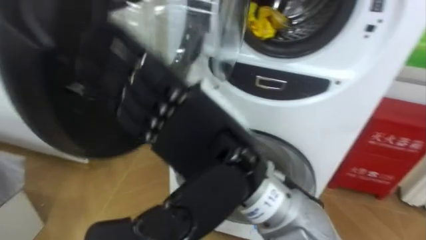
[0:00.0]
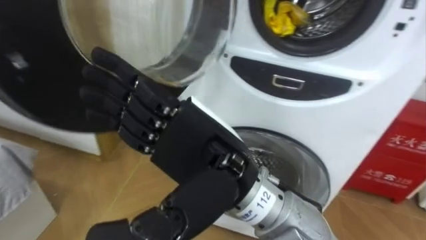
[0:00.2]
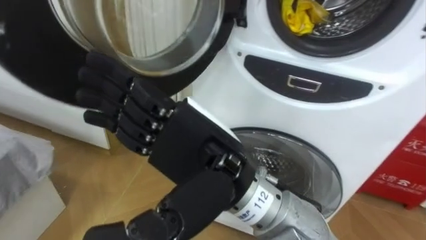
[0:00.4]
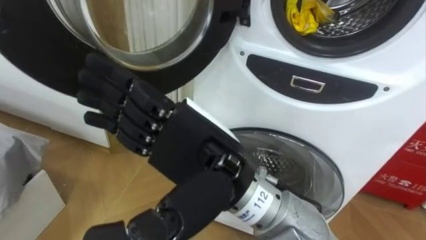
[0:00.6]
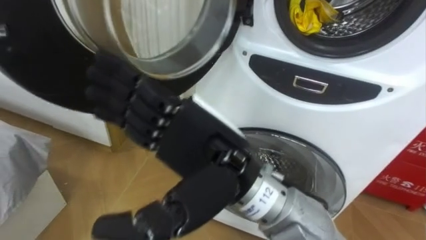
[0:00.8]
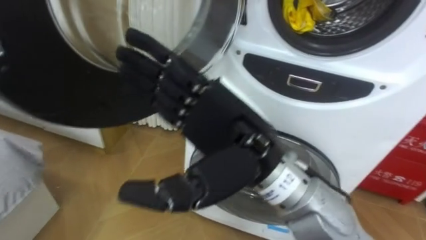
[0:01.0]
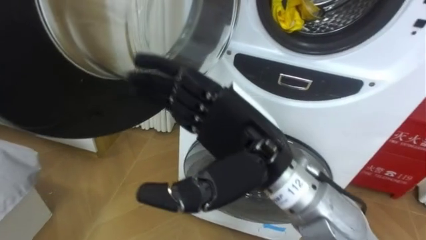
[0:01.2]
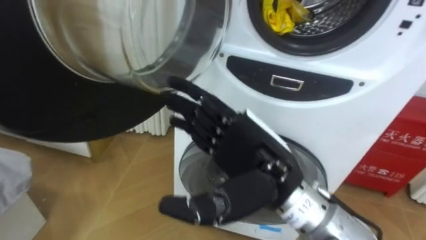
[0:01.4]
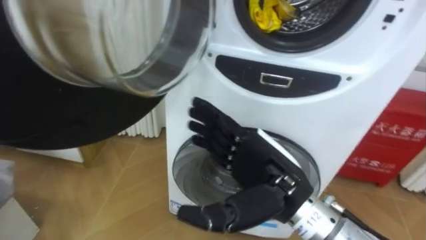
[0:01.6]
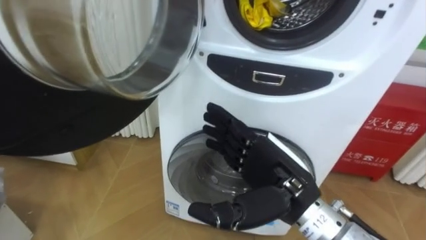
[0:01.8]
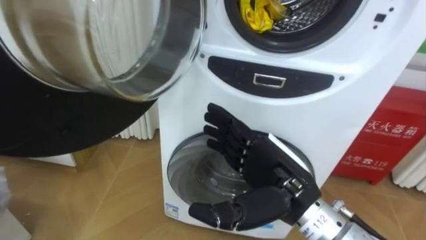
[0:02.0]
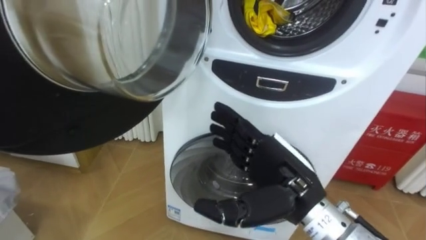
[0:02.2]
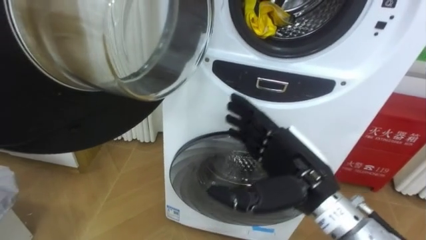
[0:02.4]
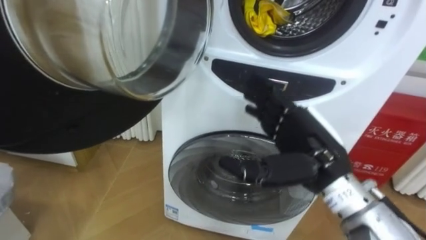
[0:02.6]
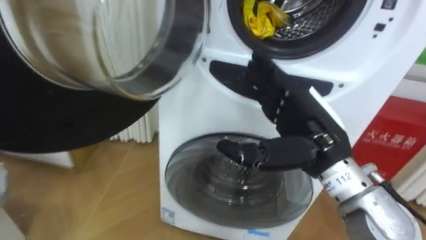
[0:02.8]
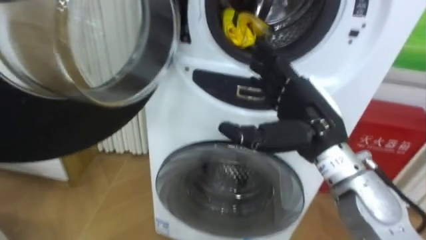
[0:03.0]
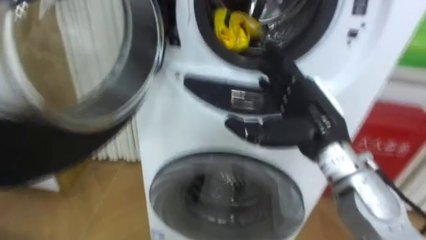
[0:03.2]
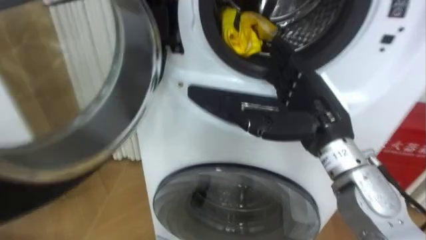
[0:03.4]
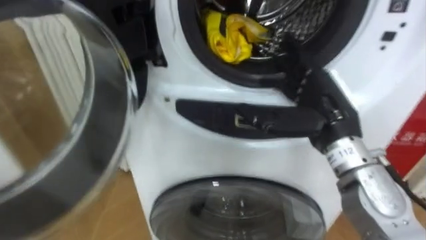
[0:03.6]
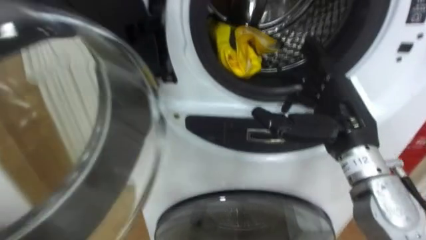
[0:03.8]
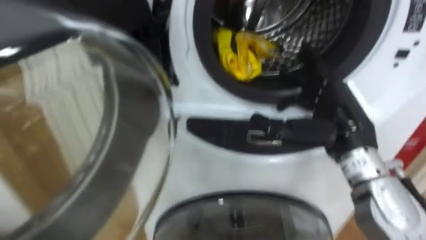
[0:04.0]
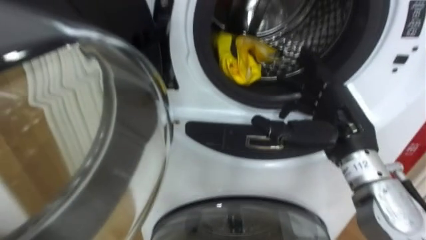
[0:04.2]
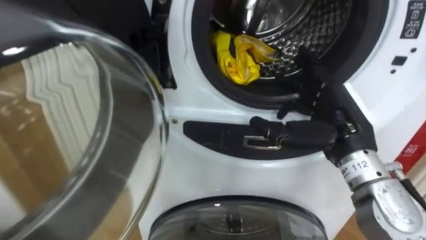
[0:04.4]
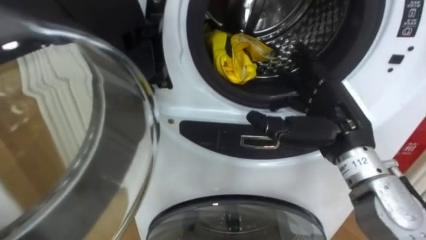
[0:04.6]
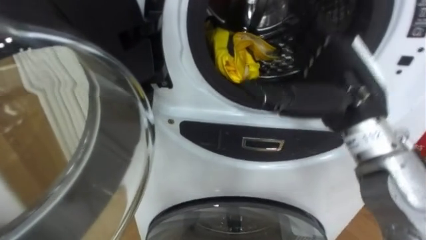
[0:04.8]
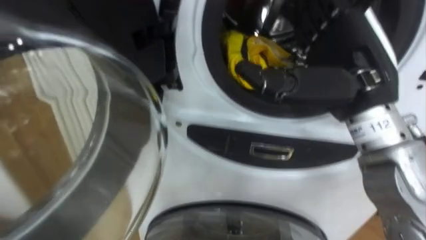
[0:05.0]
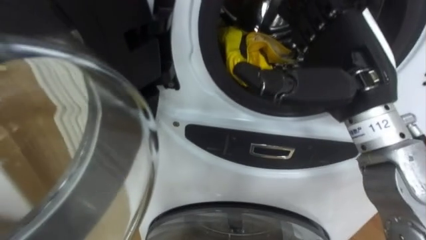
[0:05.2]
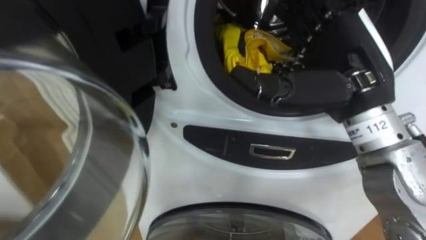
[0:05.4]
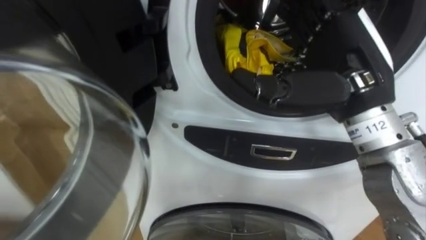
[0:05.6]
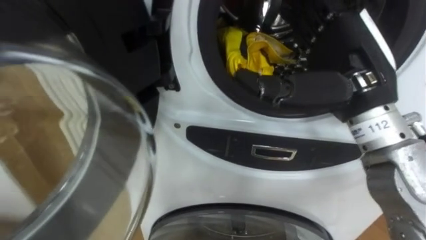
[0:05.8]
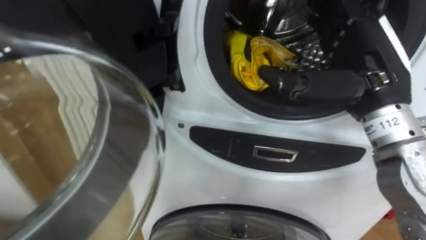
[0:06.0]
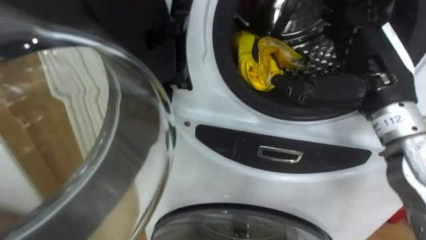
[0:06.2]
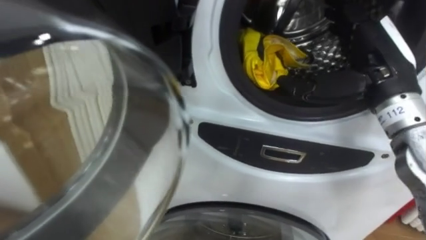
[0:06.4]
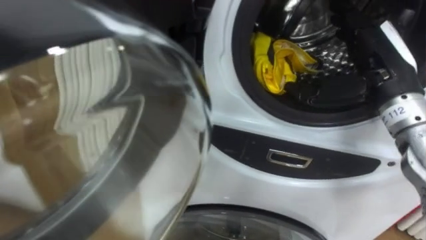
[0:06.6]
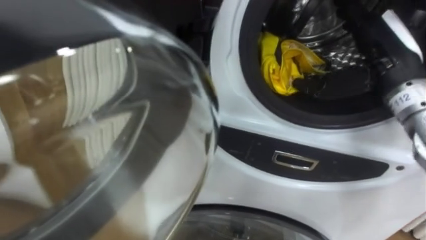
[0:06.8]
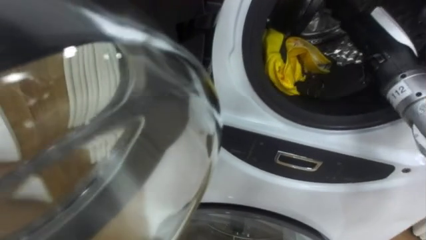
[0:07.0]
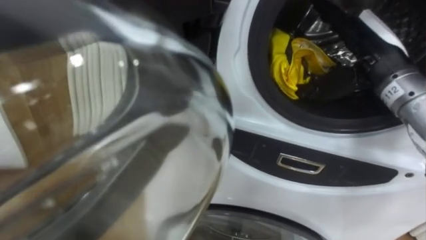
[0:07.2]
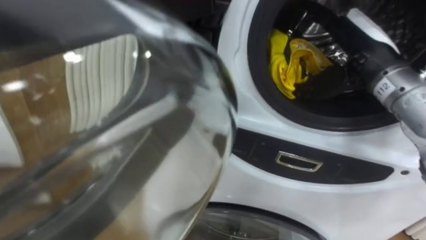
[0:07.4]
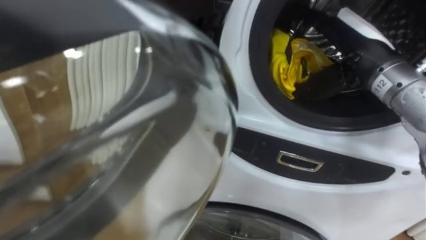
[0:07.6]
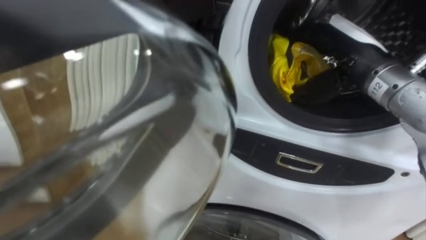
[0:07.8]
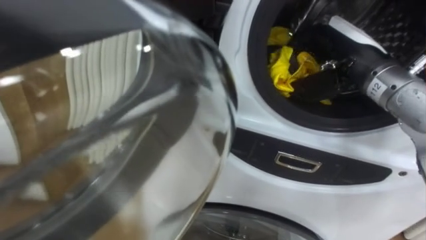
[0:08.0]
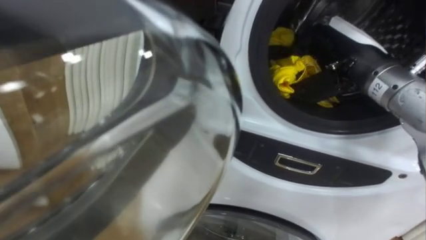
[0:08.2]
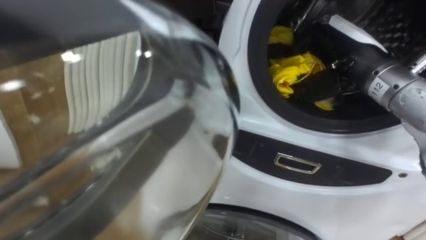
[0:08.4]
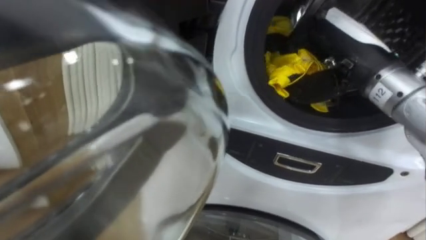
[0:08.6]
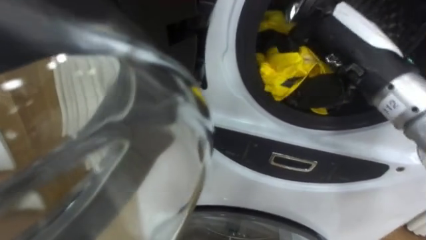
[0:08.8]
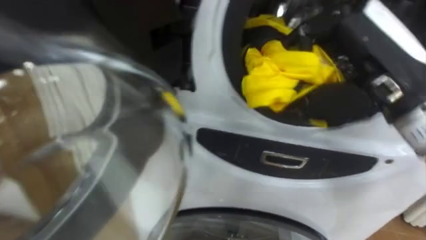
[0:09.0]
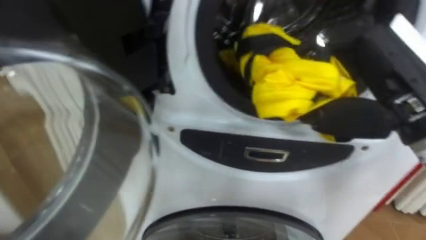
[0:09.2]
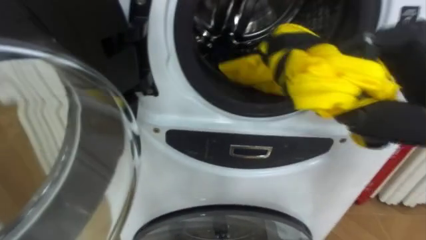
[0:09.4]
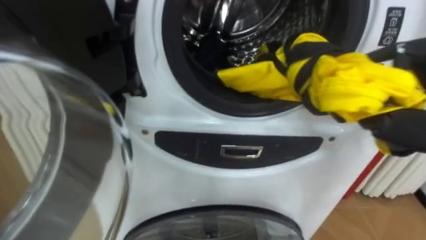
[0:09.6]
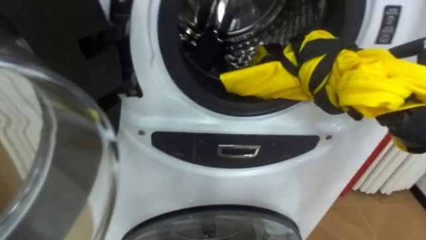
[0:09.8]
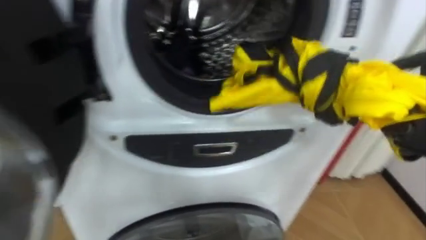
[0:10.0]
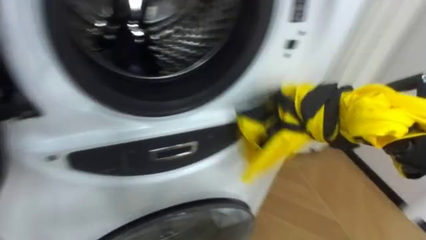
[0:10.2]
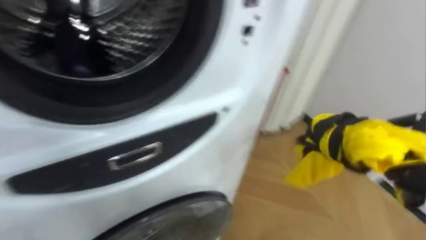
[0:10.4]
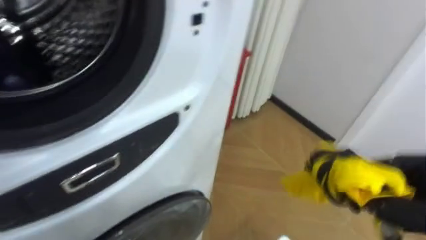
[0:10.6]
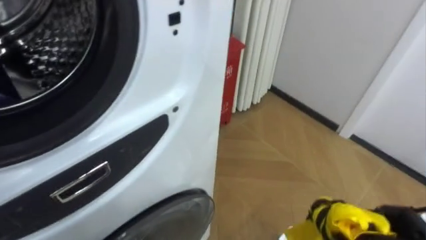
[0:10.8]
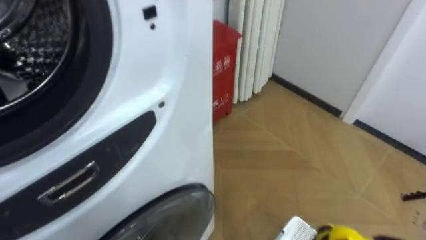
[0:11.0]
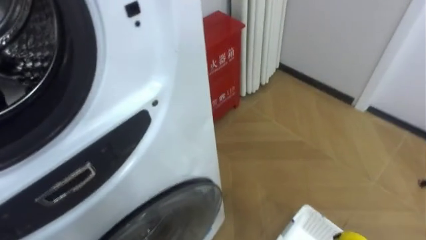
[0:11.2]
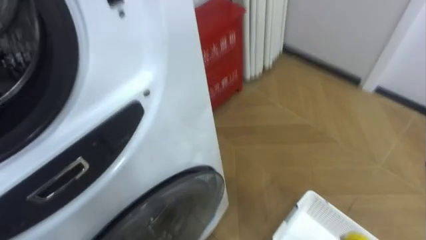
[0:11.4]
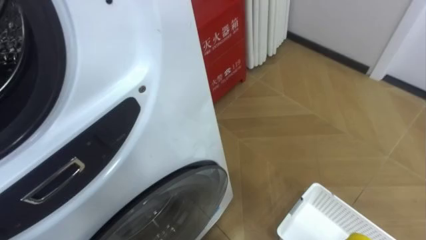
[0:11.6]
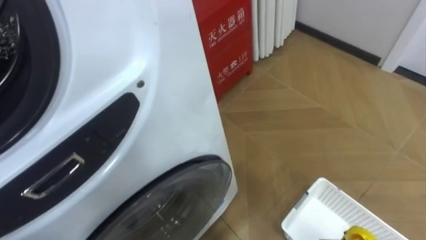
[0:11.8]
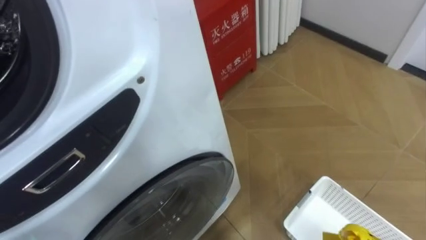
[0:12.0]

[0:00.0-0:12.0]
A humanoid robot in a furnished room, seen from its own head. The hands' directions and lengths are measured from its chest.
Task of the whole recording: Open the washing machine door, take out the yellow clothes, place them in the box on the right, and close the washing machine door.
0:00.0 to 0:01.6: The right hand is displaced downward and to the right by approximately 10 cm.
0:01.6 to 0:03.0: The right hand is displaced forward and to the right by approximately 10 cm.
0:03.0 to 0:04.4: The right hand goes approximately 5 cm to the right.
0:04.4 to 0:06.0: The right hand goes approximately 10 cm upward.
0:06.0 to 0:07.6: The right hand is displaced forward by approximately 5 cm.
0:07.6 to 0:09.0: The right hand heads backward, covering roughly 10 cm, and closes up.

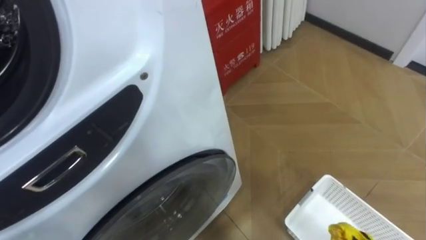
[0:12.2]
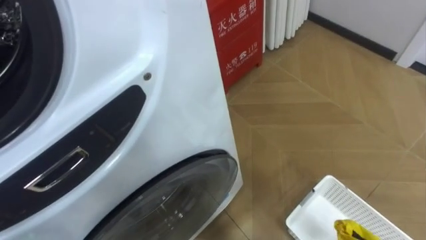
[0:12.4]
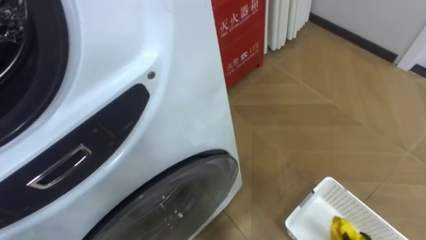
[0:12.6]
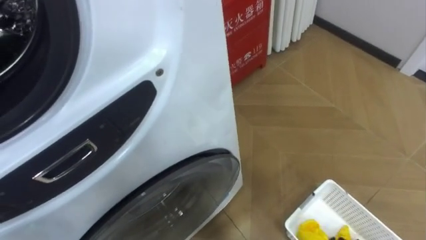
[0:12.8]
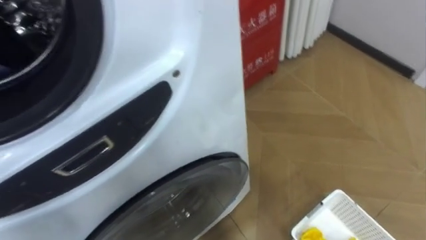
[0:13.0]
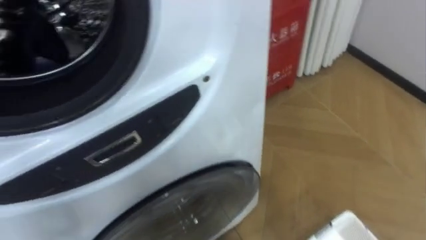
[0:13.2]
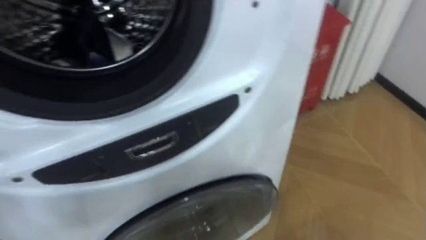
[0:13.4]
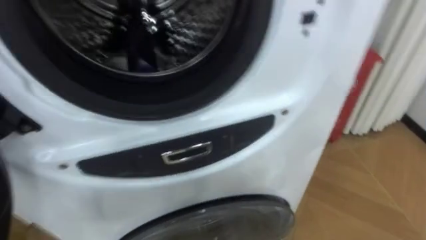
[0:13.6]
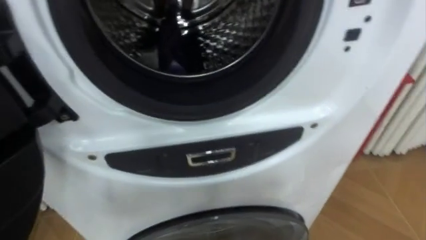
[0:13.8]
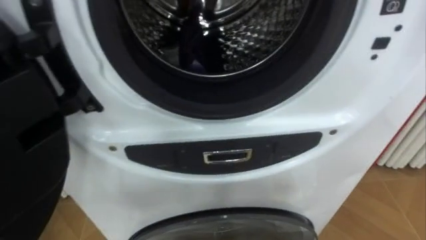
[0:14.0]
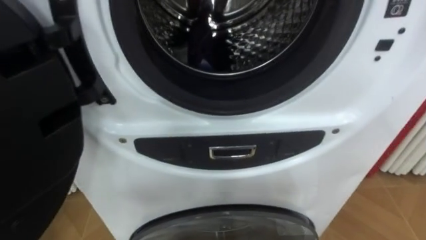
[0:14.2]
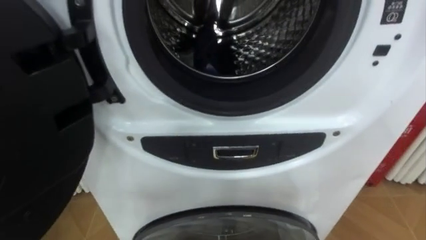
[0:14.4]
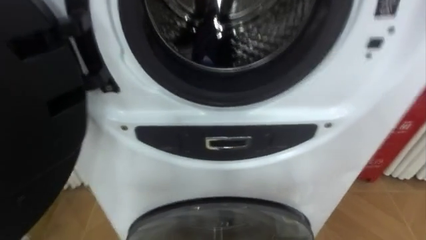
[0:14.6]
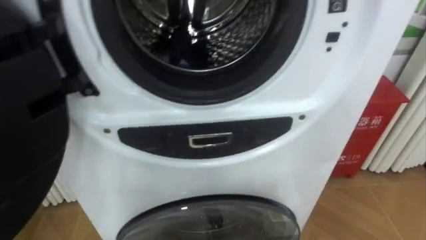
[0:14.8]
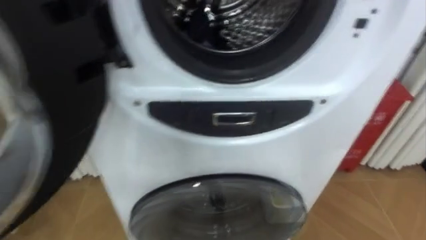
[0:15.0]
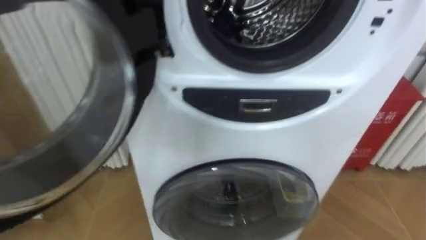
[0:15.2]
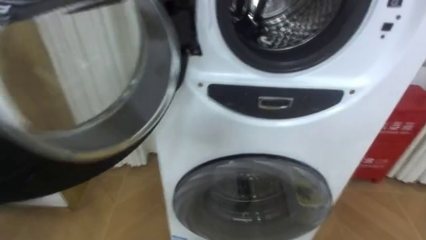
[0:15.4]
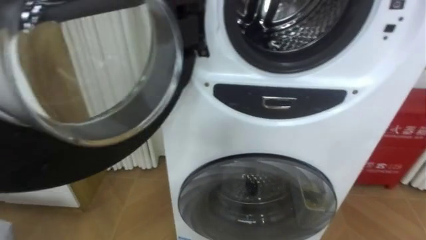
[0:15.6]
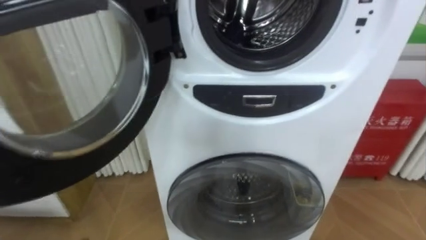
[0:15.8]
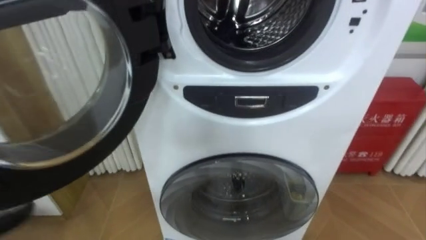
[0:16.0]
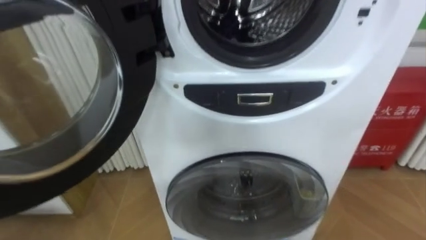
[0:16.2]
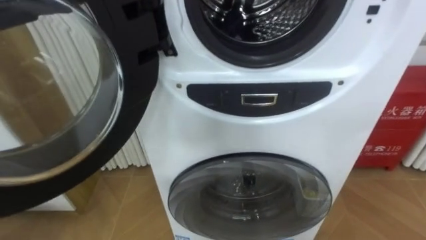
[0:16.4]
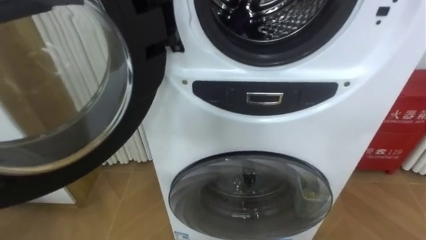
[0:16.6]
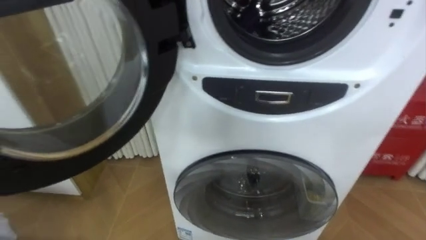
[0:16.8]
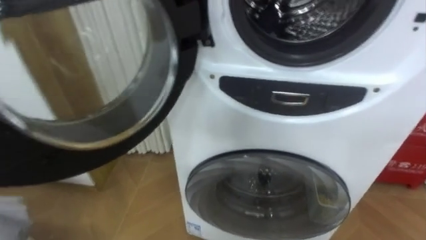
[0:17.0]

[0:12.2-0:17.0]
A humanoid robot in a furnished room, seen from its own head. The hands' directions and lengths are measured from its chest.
Task of the whole recording: Open the washing machine door, take out the yellow clothes, place them in the box on the right, and close the washing machine door.
0:12.2 to 0:13.8: The robot rotates some 20 degrees to its left.
